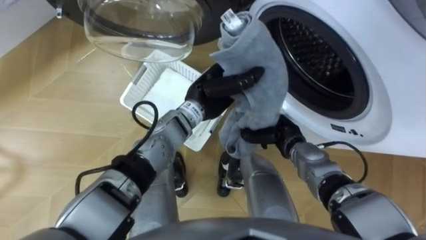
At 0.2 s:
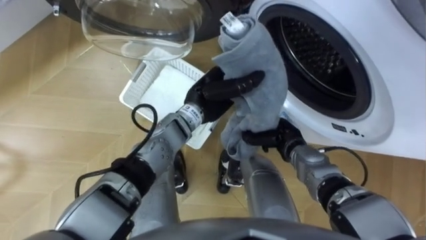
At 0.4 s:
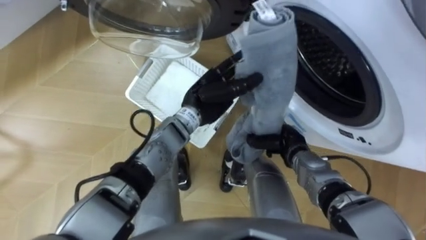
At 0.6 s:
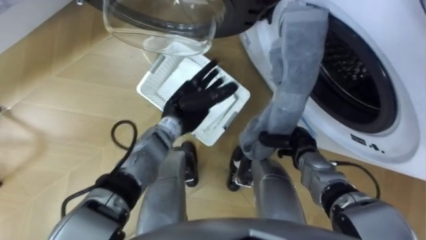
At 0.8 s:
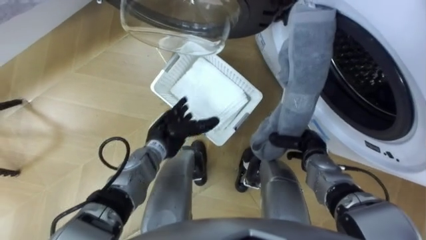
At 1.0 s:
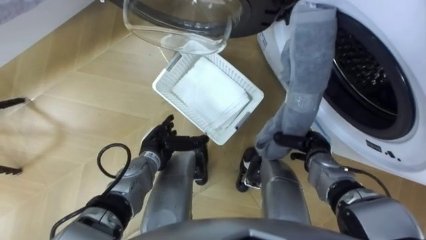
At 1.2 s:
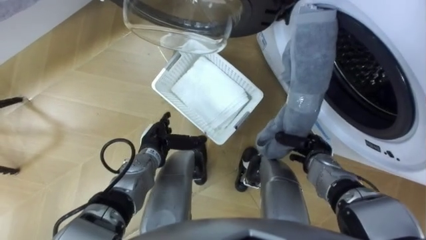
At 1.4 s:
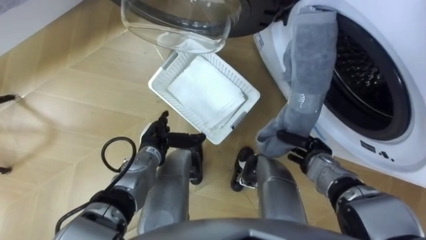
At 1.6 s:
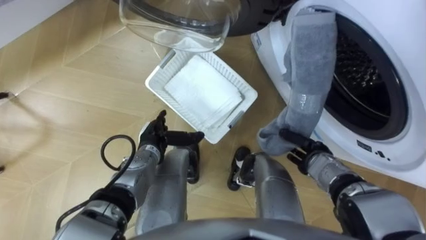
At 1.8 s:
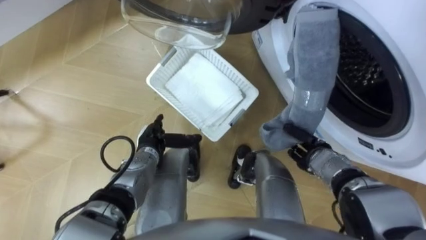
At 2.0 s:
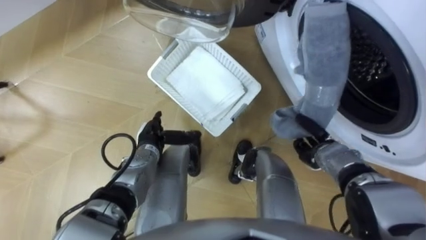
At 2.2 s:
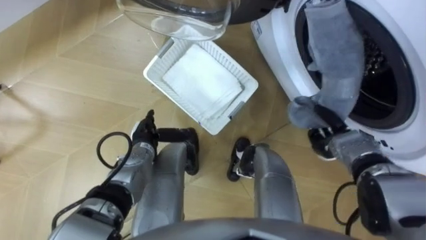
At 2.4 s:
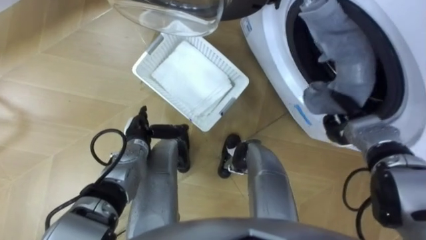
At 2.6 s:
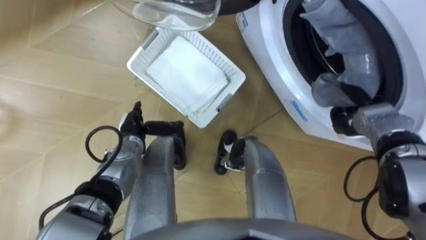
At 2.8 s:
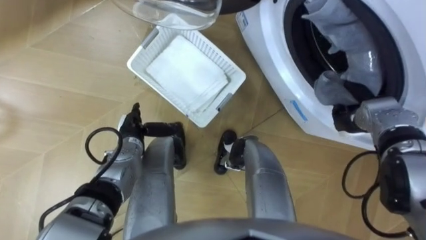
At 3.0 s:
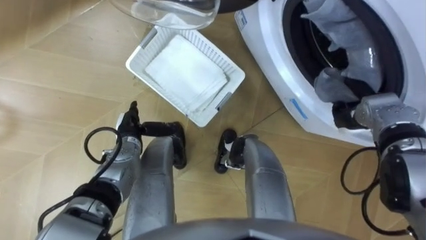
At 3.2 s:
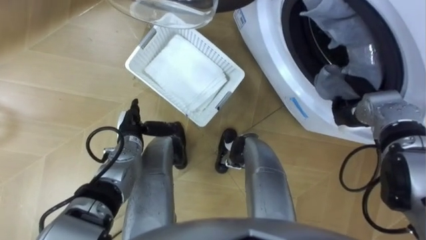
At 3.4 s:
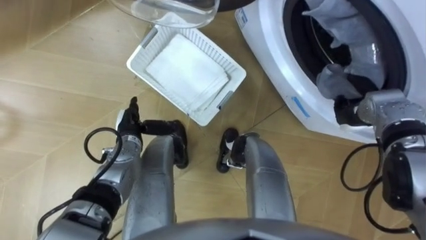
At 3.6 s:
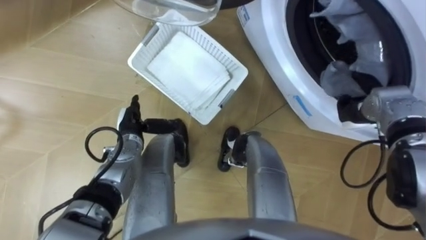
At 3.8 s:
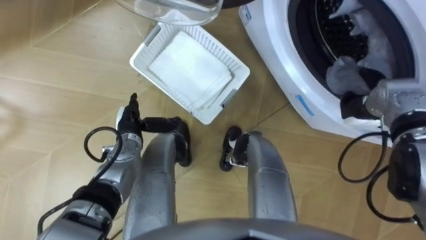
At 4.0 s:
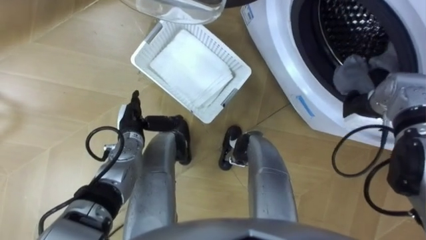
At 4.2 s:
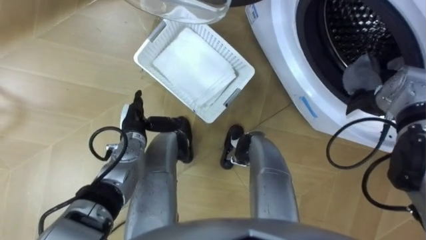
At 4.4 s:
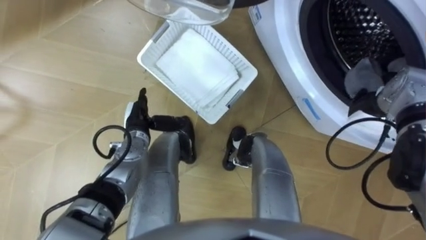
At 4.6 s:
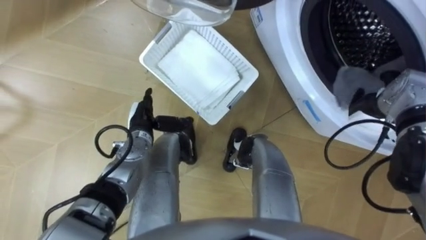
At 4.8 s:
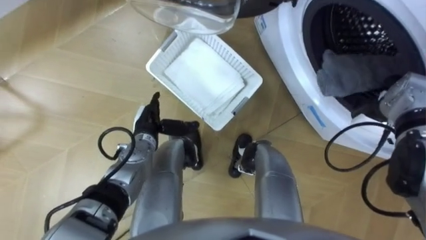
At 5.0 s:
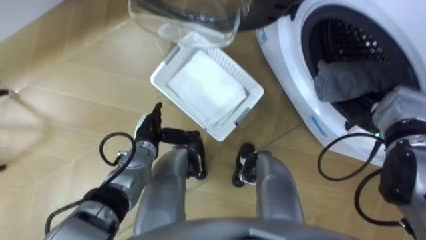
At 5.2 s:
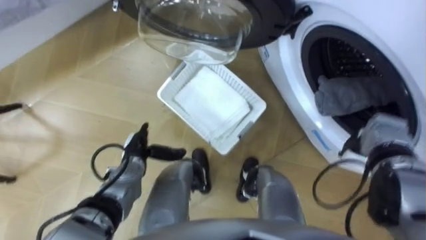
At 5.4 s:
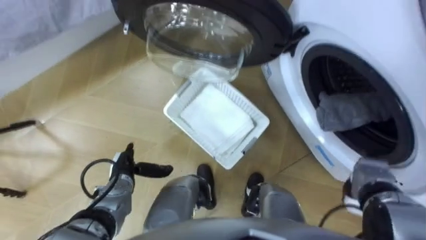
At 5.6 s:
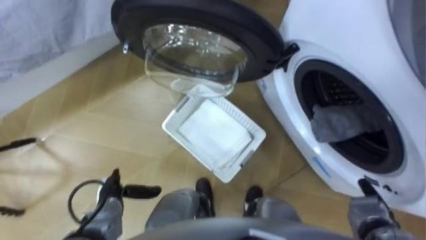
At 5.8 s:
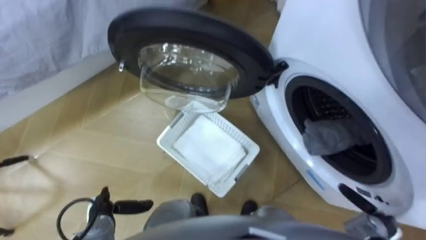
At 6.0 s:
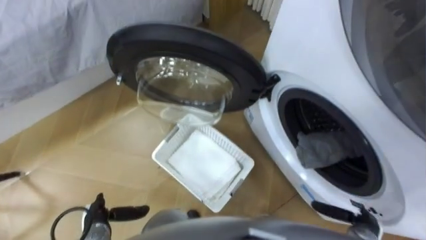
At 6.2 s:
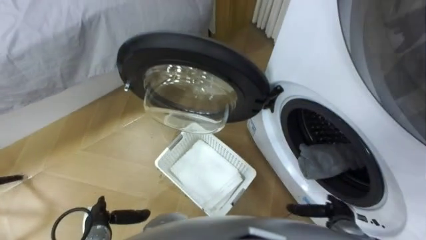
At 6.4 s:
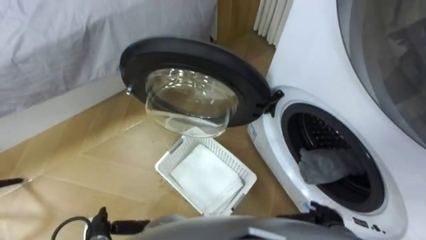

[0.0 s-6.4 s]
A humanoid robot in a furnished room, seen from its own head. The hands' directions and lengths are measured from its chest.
Task of the whole recording: Take the towel from the basket and put it into the washing machine.
0.0 to 1.6 s: The left hand heads to the left, downward and backward, covering roughly 20 cm, and opens up, while the right hand is displaced to the right by approximately 5 cm.
1.6 to 3.2 s: The left hand moves to the left, roughly 5 cm, while the right hand is displaced upward, to the right and forward by about 15 cm.
3.2 to 4.8 s: The right hand opens up.
4.8 to 6.4 s: The left hand goes roughly 25 cm backward, to the left and downward, while the right hand moves backward and downward, some 25 cm.

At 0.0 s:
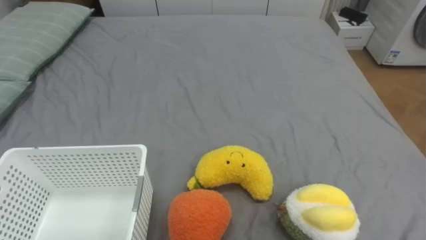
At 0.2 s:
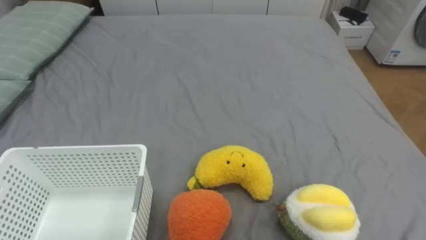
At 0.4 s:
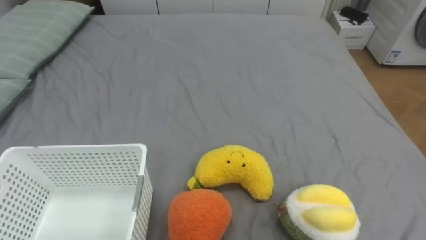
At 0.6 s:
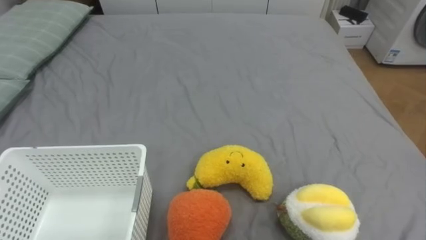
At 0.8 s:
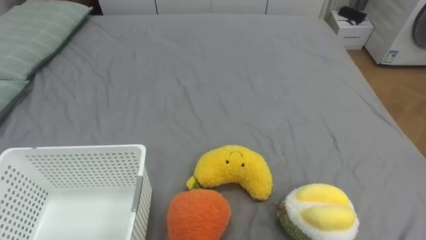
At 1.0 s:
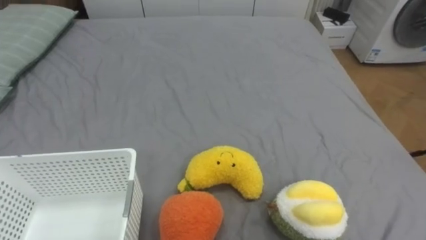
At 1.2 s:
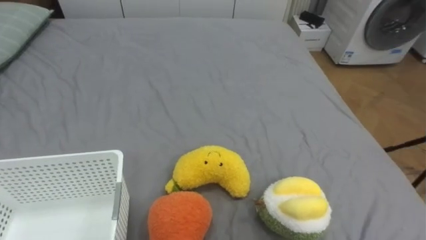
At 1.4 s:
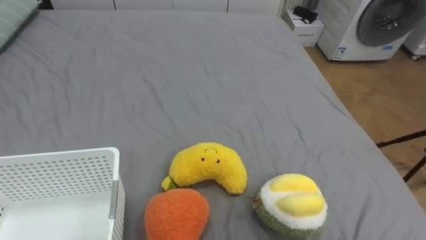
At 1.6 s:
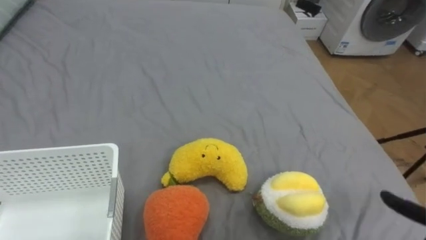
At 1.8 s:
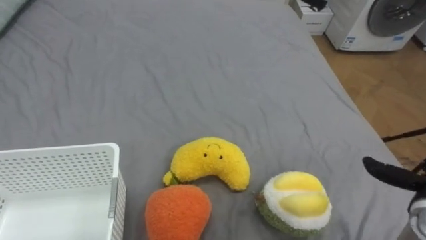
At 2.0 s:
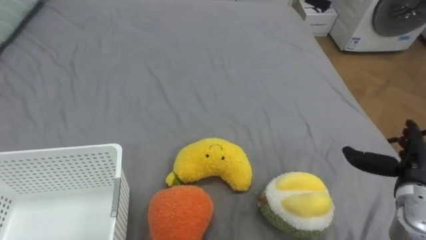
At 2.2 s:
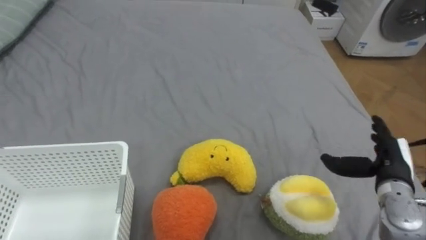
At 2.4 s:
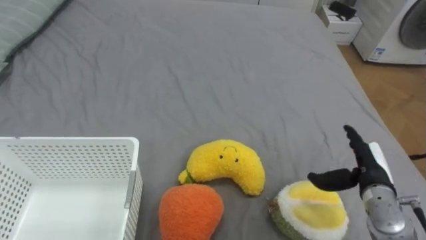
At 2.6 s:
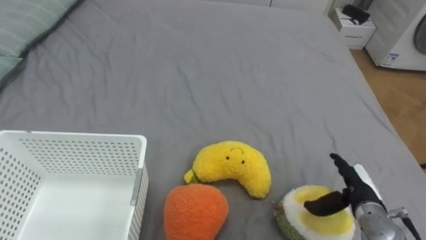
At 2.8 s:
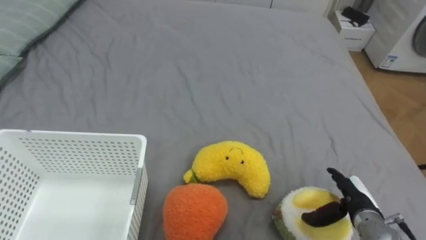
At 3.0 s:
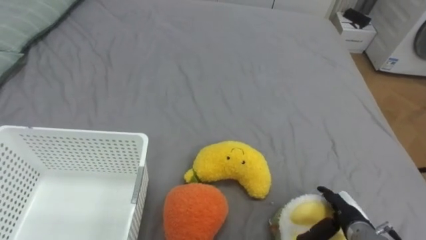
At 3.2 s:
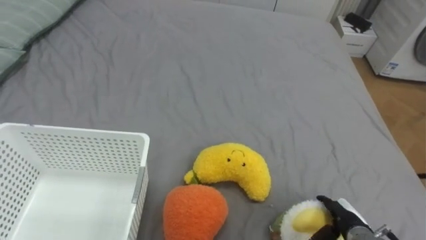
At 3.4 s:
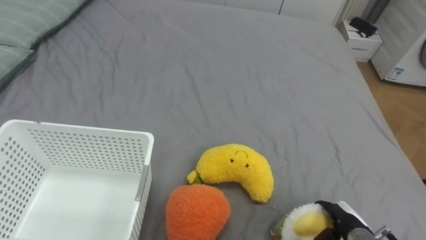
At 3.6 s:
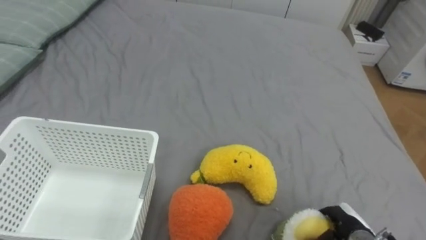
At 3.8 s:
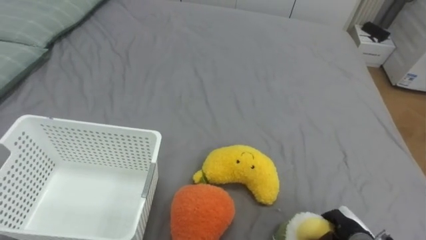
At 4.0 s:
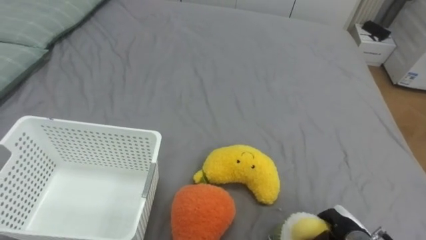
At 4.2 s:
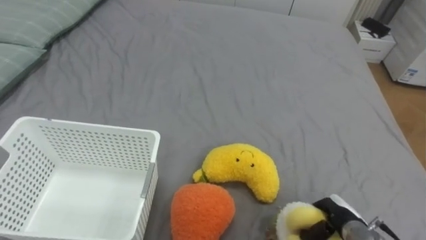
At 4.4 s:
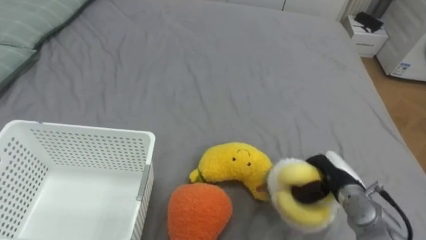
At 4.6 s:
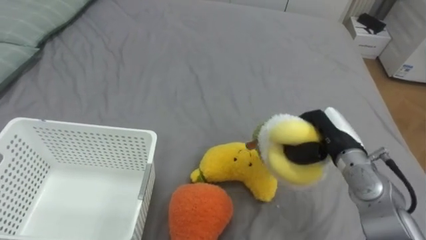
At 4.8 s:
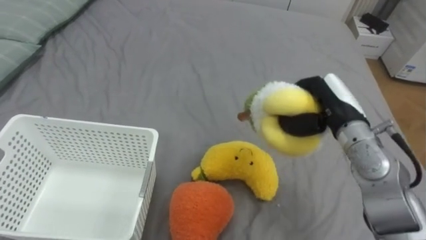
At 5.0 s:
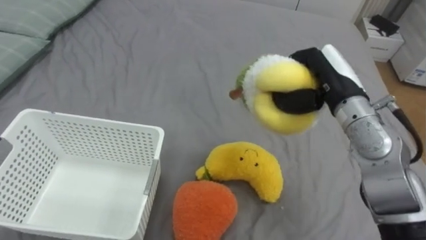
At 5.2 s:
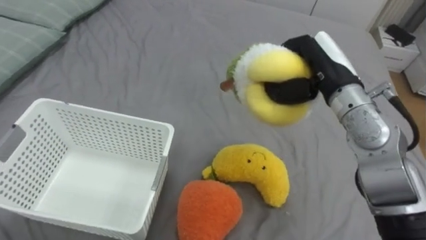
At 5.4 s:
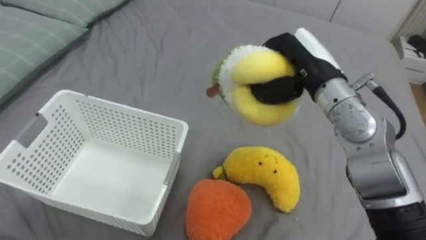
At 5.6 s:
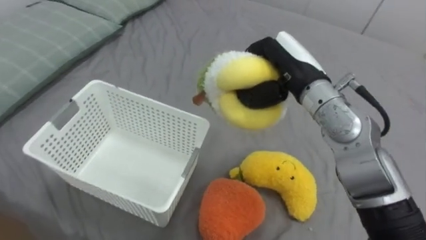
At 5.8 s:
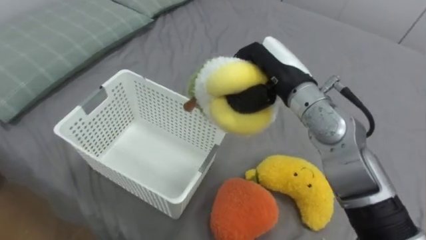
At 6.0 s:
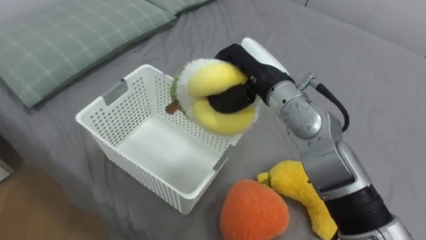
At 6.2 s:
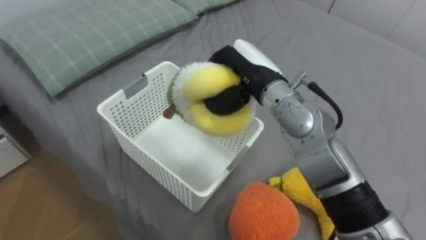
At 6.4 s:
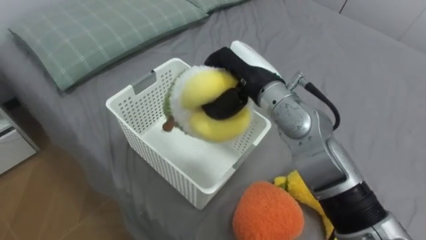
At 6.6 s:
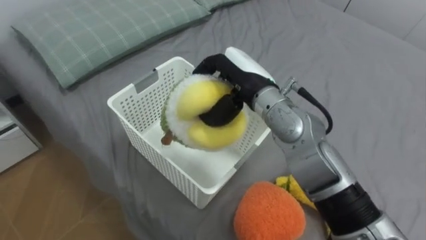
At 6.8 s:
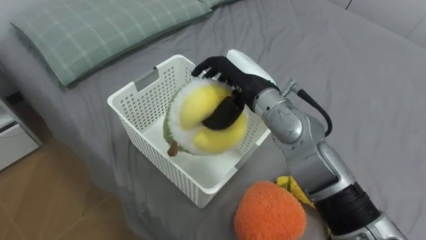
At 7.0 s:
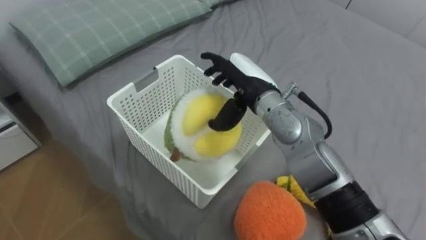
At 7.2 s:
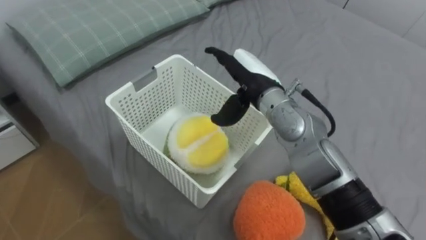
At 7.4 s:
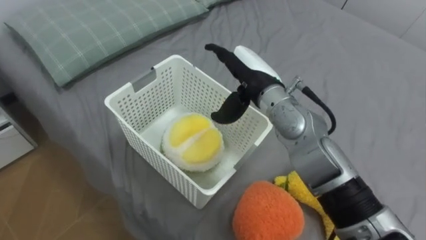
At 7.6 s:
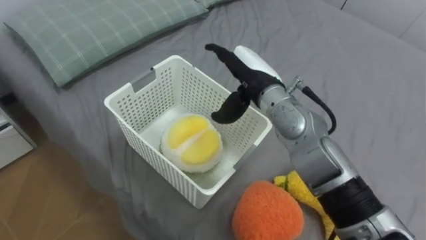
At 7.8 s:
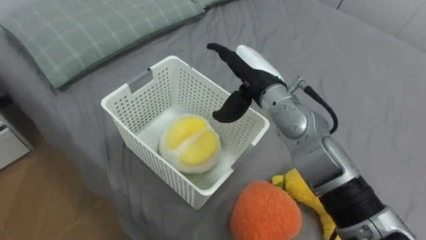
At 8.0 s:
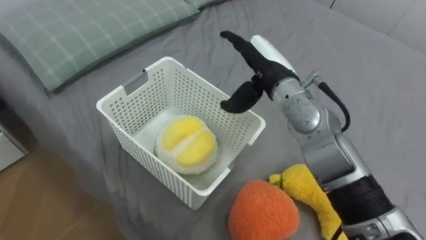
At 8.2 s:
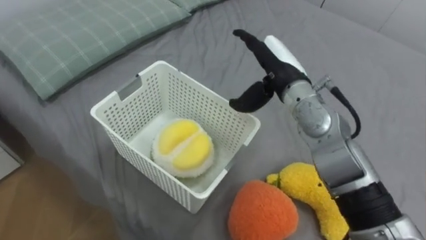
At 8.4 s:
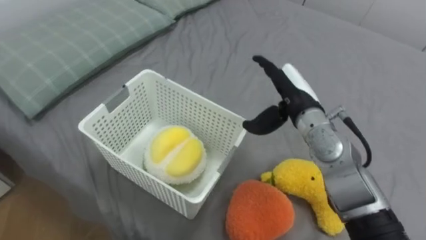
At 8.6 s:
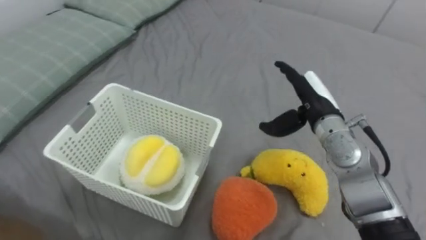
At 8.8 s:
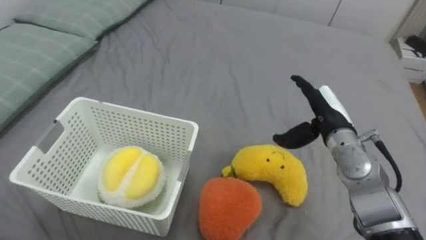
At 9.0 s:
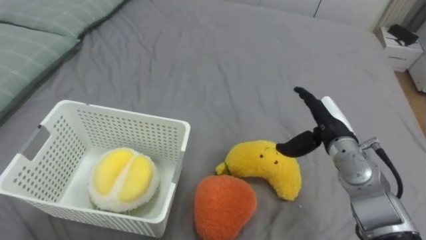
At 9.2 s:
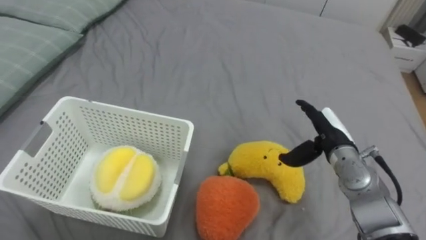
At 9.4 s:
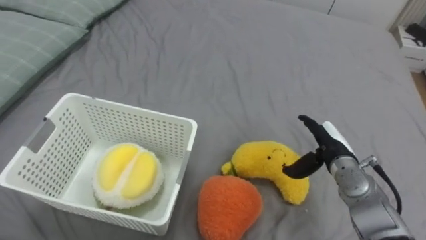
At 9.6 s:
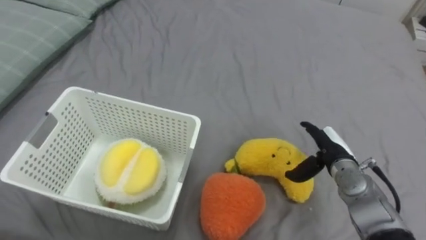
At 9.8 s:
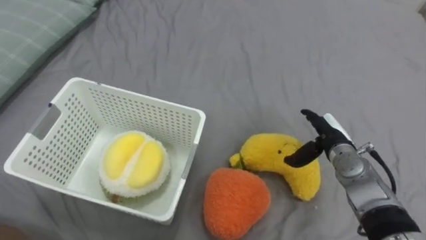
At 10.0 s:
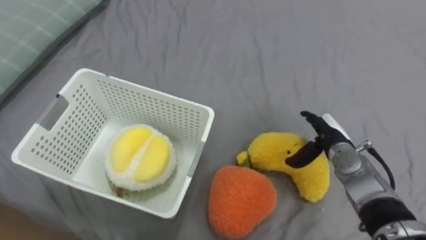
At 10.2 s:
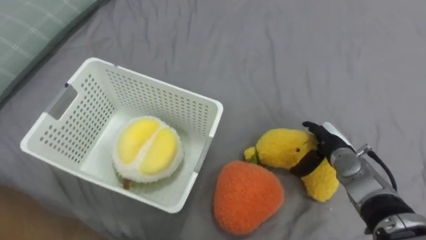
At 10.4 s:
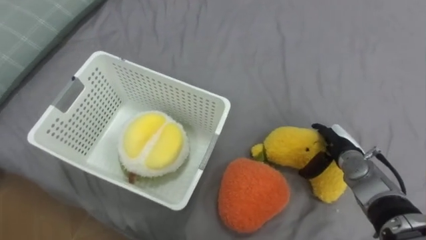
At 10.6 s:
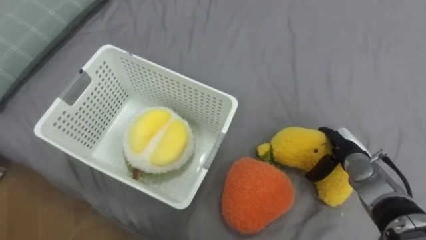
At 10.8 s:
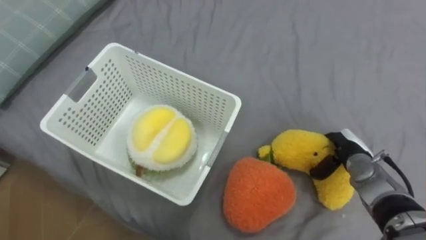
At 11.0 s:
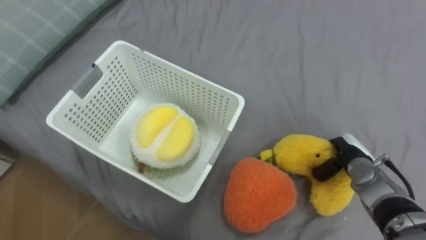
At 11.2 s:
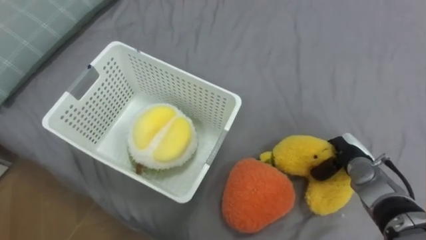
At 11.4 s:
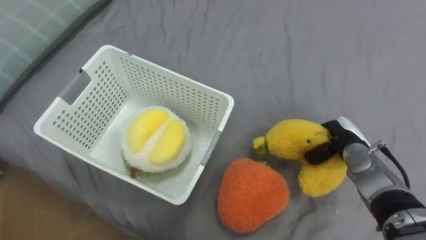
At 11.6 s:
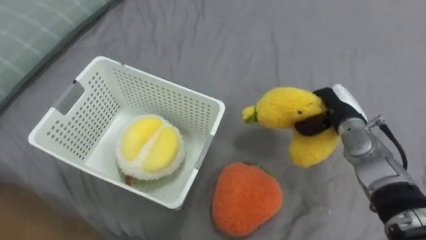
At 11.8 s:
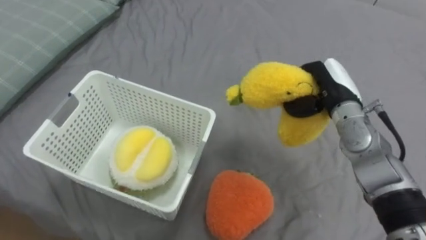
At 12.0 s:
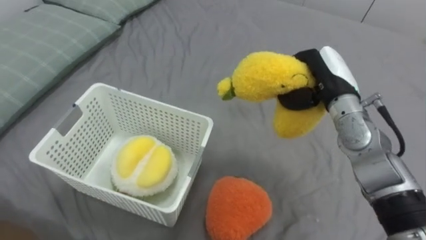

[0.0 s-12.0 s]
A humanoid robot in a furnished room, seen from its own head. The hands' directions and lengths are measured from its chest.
Task of the whole recording: Put the toys on the bed into the basket on the left.
3.0 to 4.4 s: The right hand moves upward and forward, some 10 cm, and closes up.
4.4 to 6.0 s: The right hand moves upward, to the left and forward, roughly 30 cm.
6.0 to 7.6 s: The right hand opens up.
7.6 to 9.0 s: The right hand goes some 20 cm to the right and downward.
9.0 to 10.4 s: The right hand moves downward, roughly 10 cm.
10.4 to 12.0 s: The right hand is displaced upward by approximately 15 cm, and closes up.
